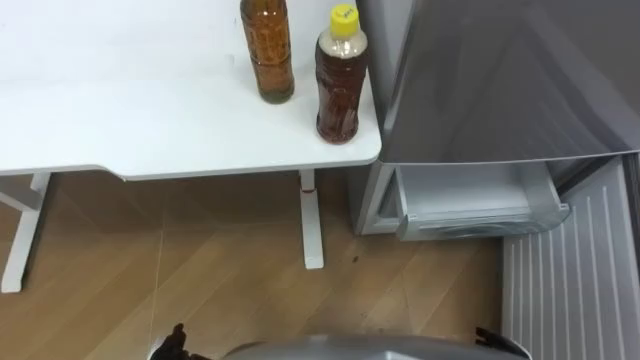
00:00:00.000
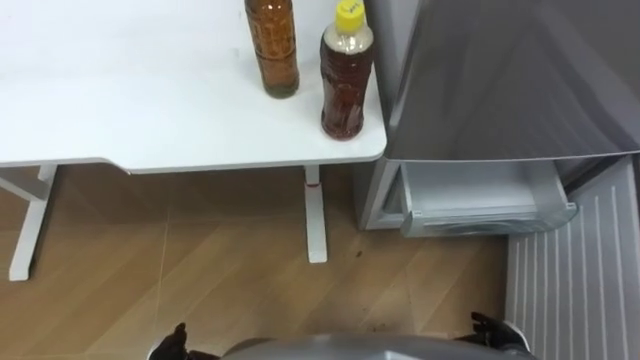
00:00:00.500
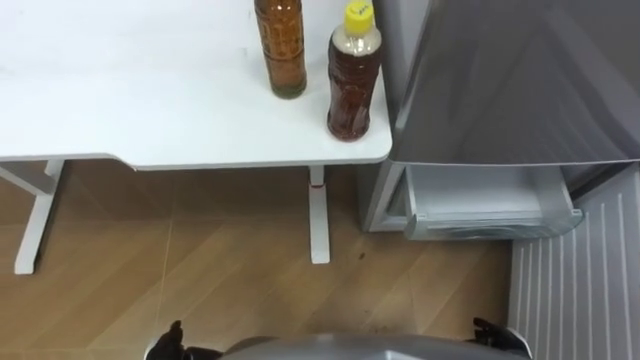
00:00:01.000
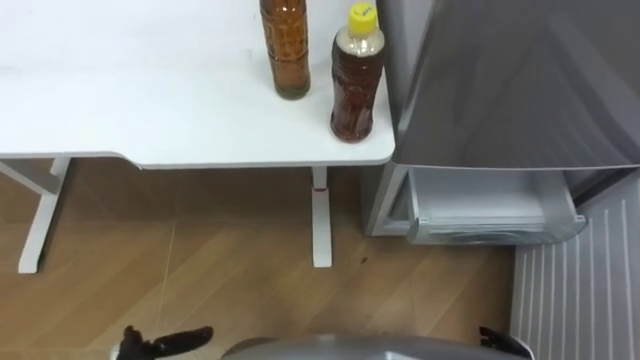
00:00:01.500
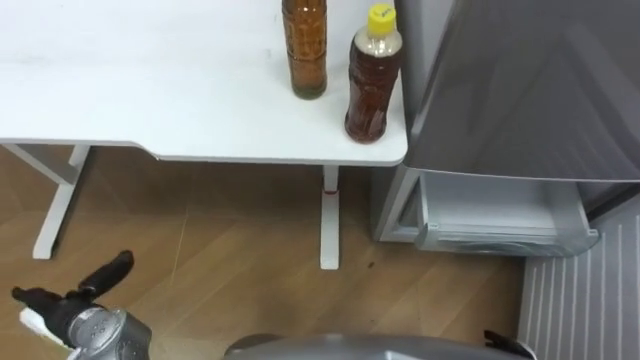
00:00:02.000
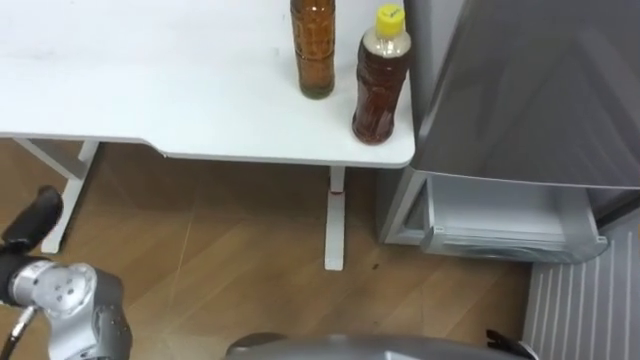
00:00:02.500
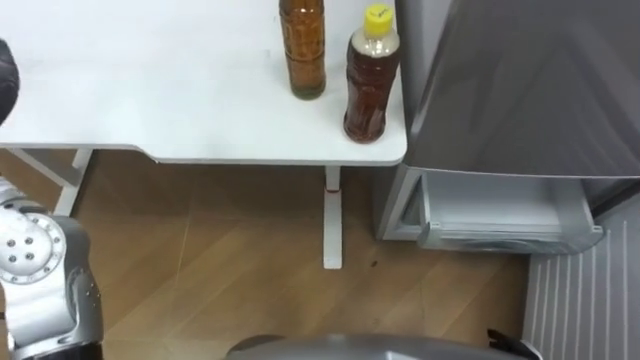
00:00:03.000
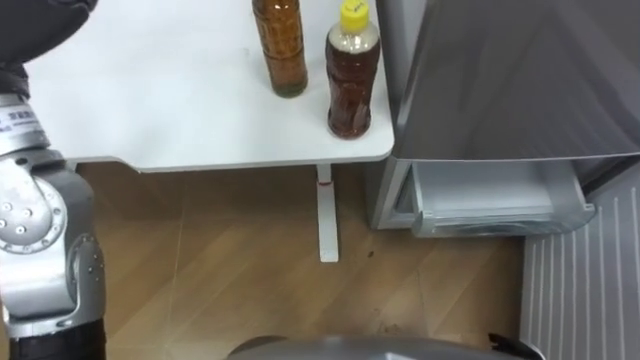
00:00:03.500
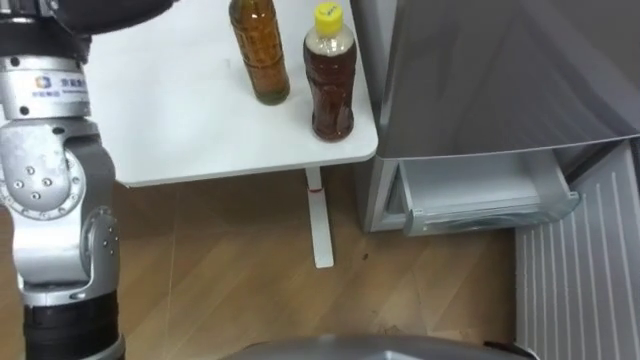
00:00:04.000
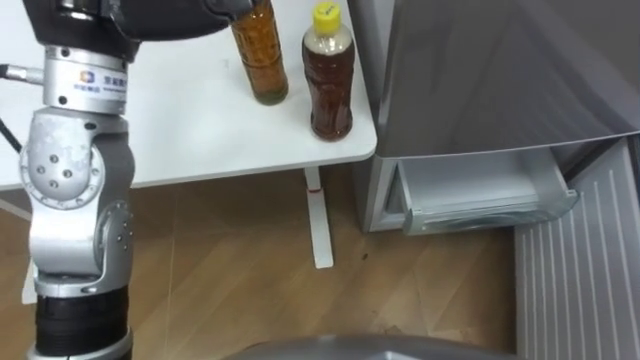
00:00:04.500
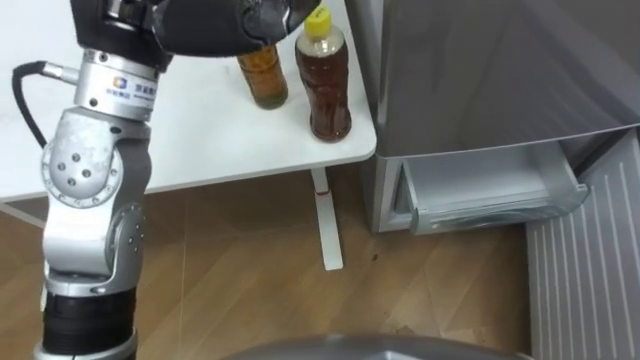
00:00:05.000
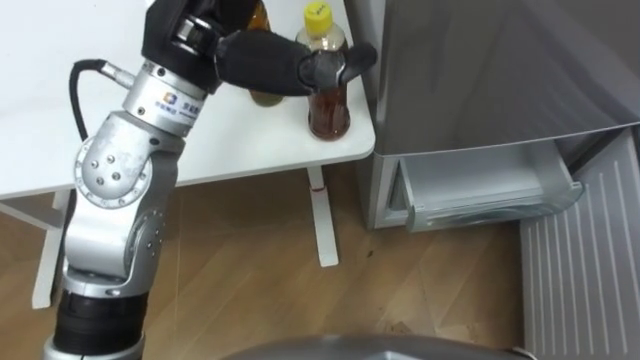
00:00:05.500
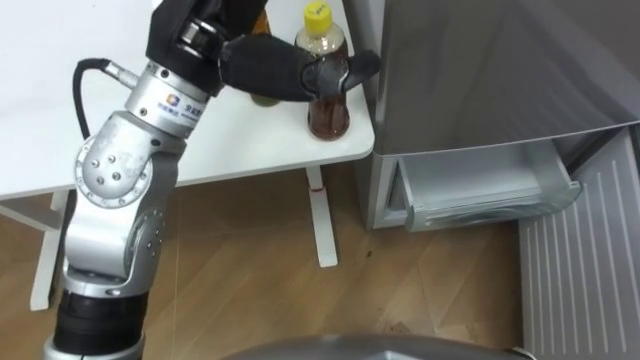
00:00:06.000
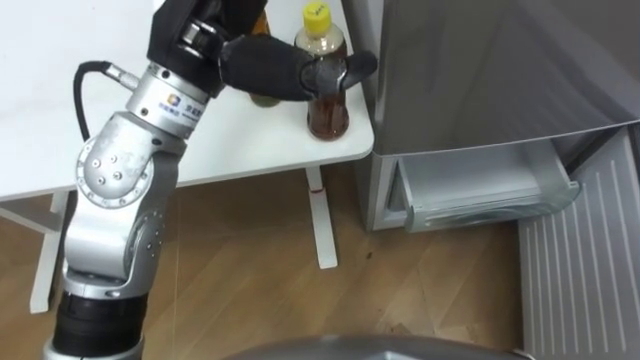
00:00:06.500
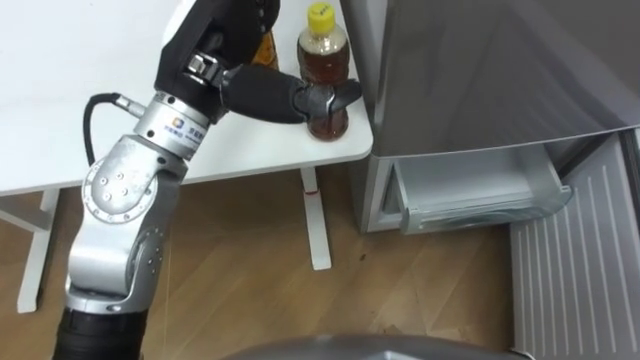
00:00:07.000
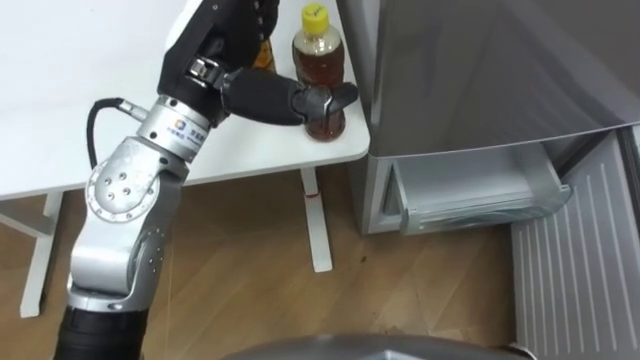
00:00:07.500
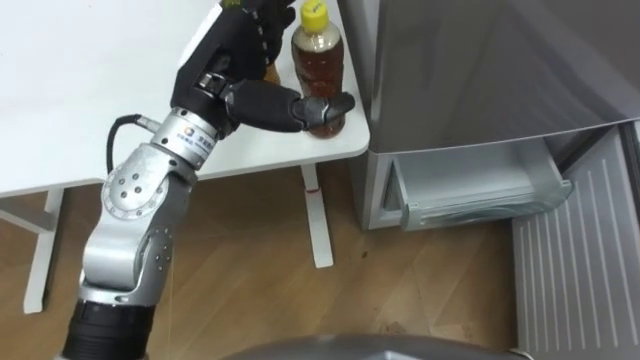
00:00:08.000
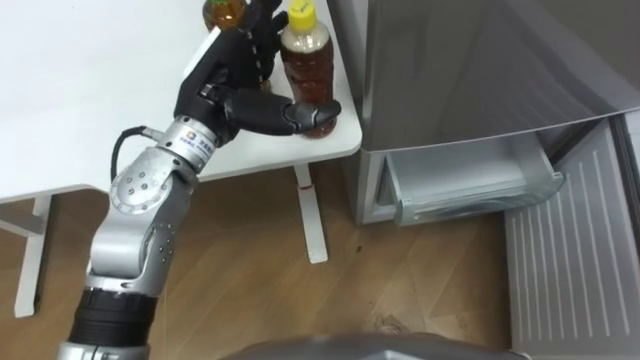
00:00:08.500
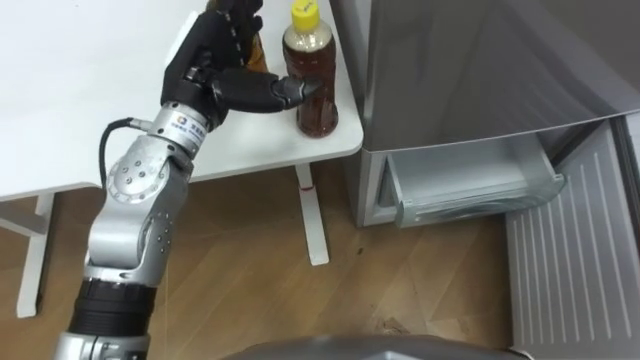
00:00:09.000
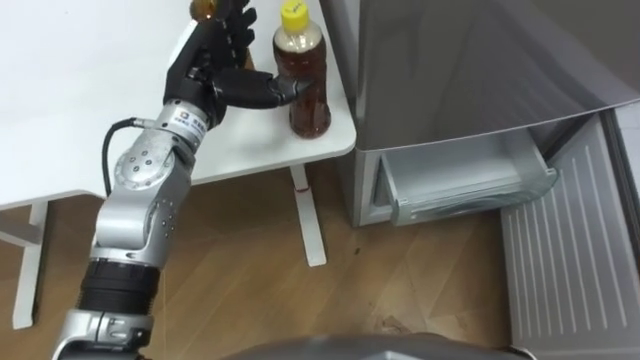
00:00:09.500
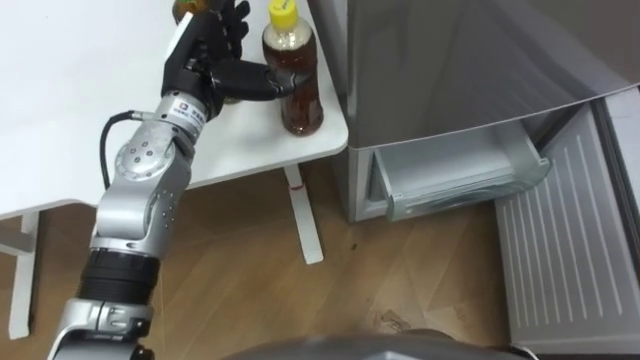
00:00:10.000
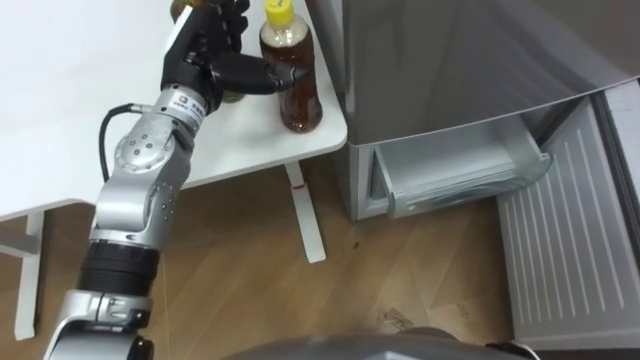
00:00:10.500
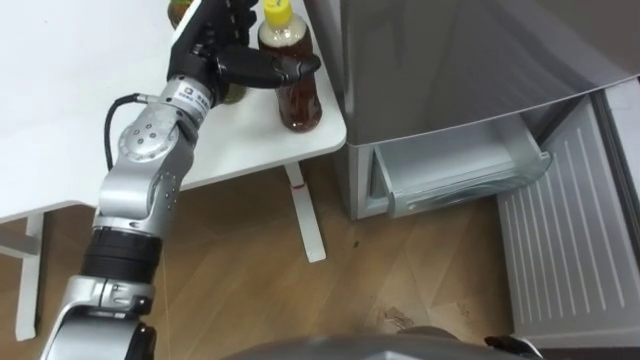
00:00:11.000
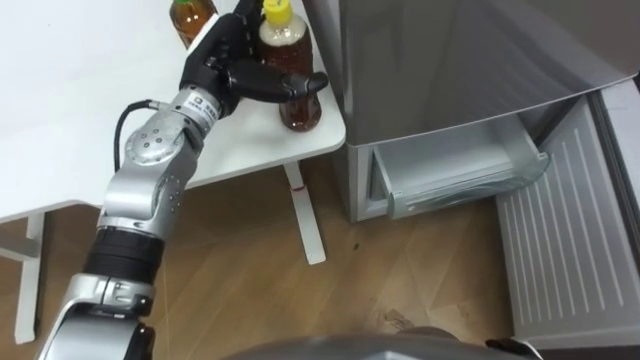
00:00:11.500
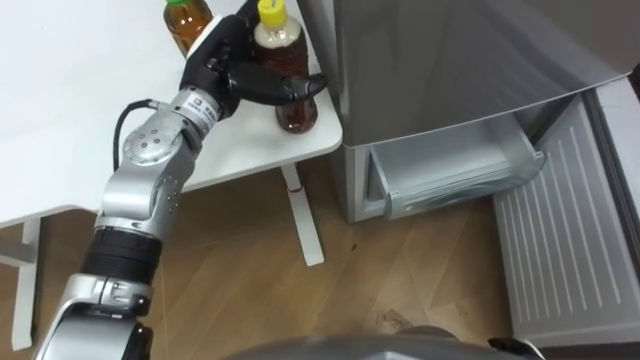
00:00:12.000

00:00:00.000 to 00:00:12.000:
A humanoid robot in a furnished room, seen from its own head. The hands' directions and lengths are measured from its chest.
Task of the whole recording: Place the drink on the table on the bottom shelf of the refrigerator, then close the drawer and the refrigerator door.
00:00:04.000 to 00:00:06.000: The left hand moves to the right, approximately 10 cm.
00:00:06.000 to 00:00:08.000: The left hand goes about 10 cm downward.
00:00:08.000 to 00:00:10.000: The left hand heads forward, covering about 5 cm.

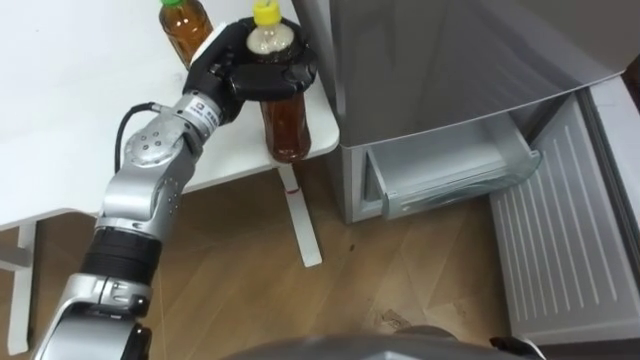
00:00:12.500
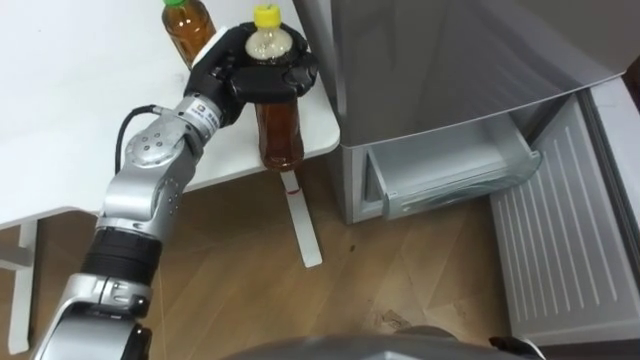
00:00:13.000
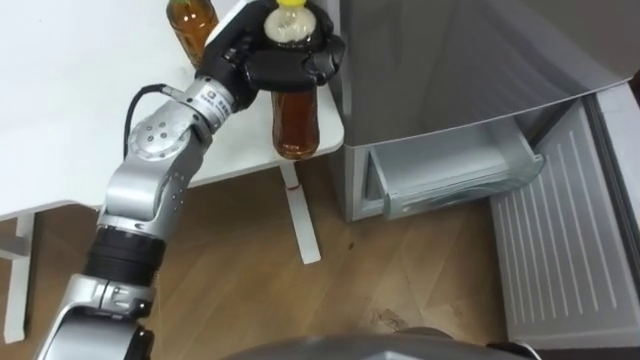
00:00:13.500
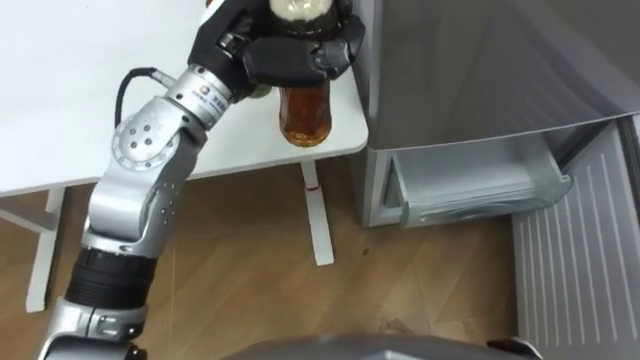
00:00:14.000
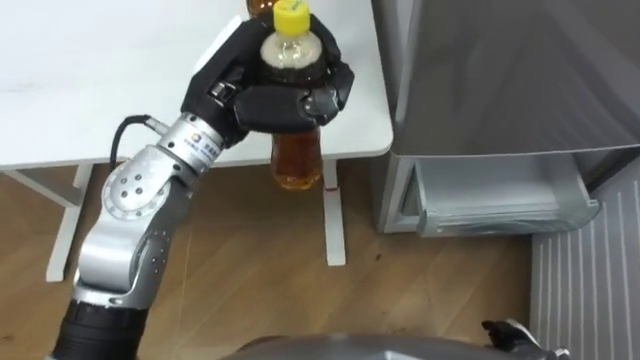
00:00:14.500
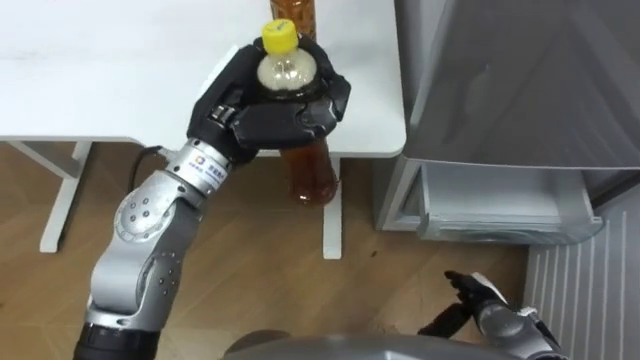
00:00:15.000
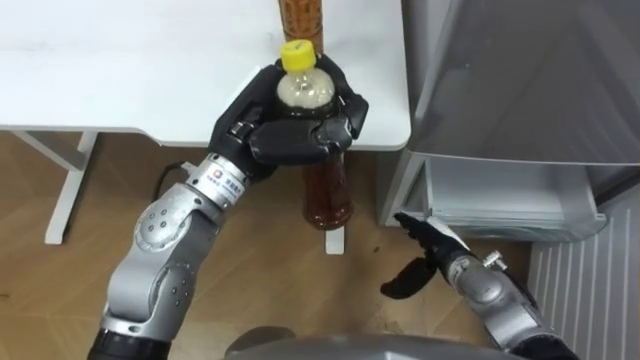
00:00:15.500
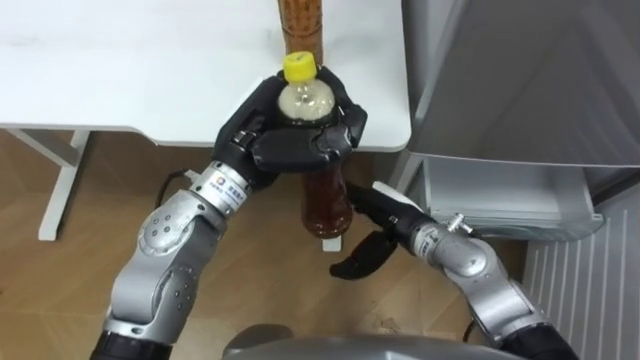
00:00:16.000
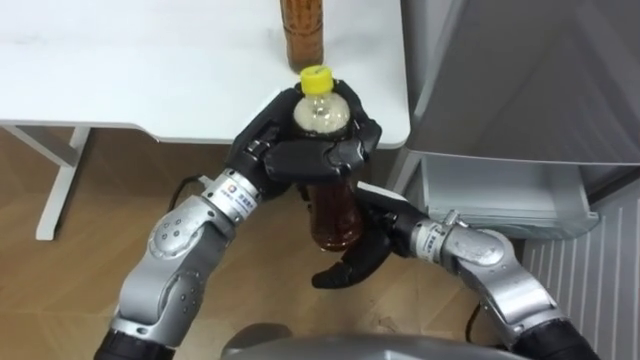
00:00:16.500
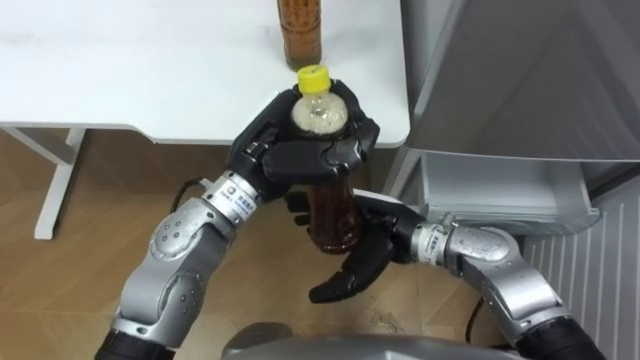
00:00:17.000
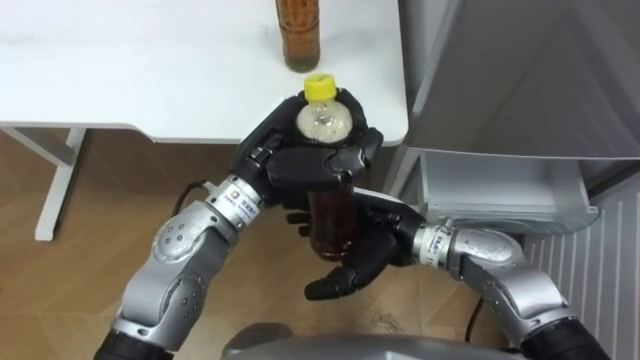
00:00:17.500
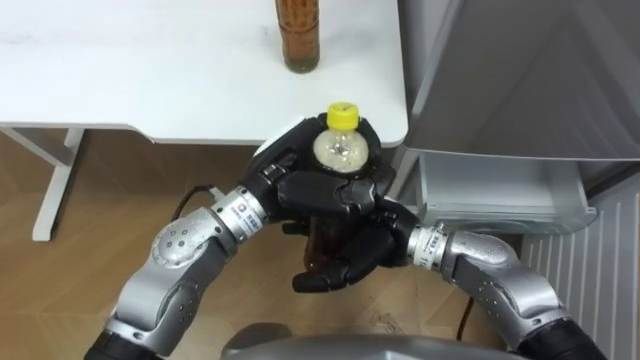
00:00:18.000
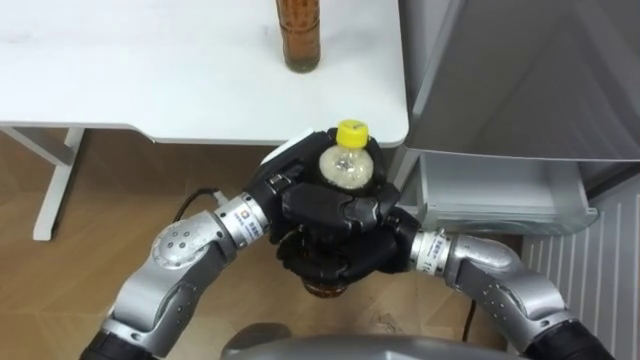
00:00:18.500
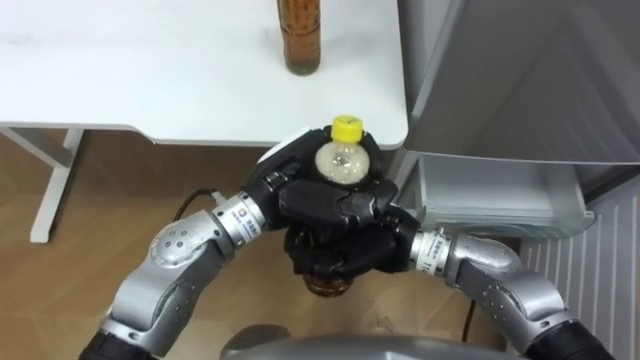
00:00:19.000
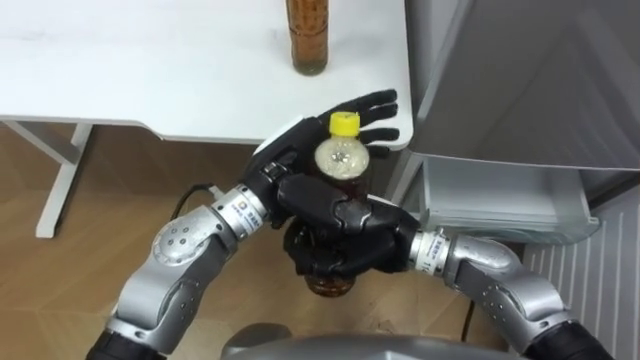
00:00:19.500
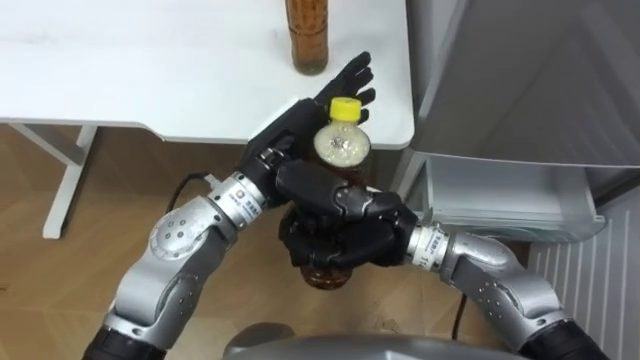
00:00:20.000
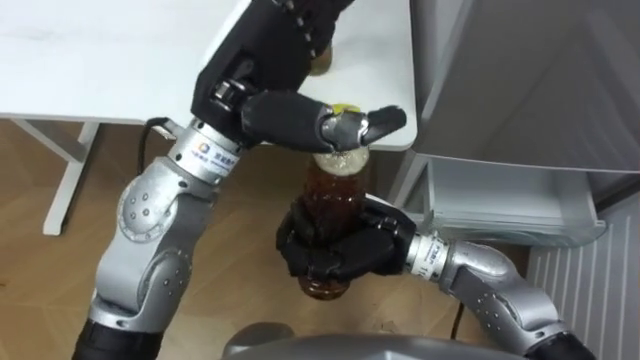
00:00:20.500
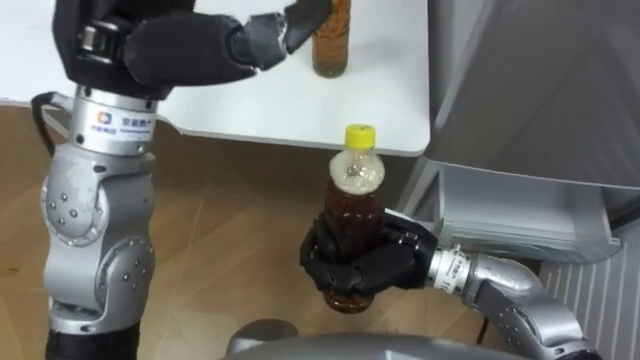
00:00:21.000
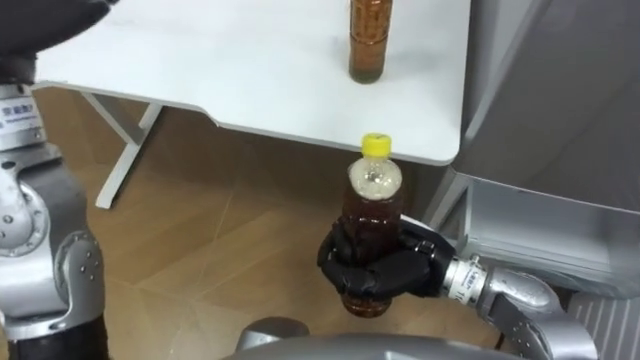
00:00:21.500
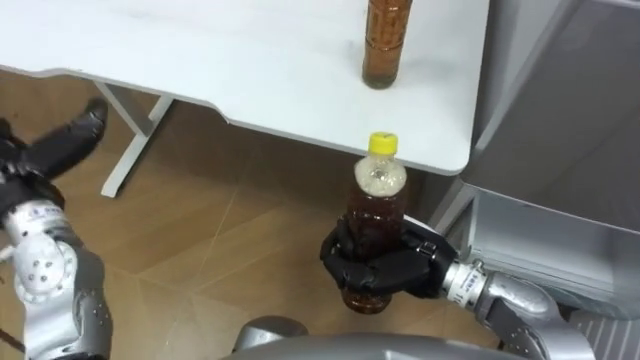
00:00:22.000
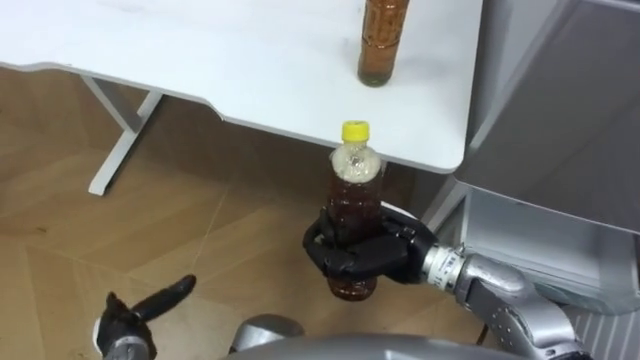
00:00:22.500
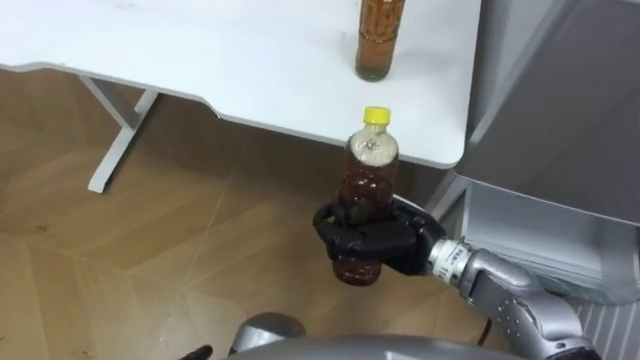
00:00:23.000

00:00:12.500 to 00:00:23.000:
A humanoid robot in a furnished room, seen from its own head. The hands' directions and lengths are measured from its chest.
Task of the whole recording: Place the drink on the table on the bottom shelf of the refrigerator, then close the drawer and the refrigerator door.
00:00:12.500 to 00:00:14.500: The left hand travels backward and upward by approximately 10 cm.
00:00:14.500 to 00:00:16.500: The left hand is displaced downward by roughly 5 cm. Meanwhile the right hand moves to the left, upward and forward, about 30 cm.
00:00:16.500 to 00:00:19.000: The right hand closes.
00:00:19.000 to 00:00:21.000: The left hand heads upward and to the left, covering approximately 20 cm, and opens up.
